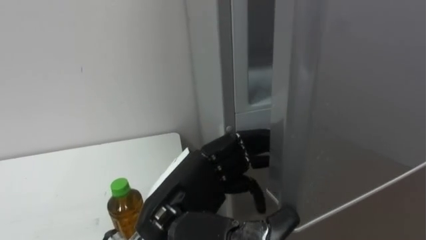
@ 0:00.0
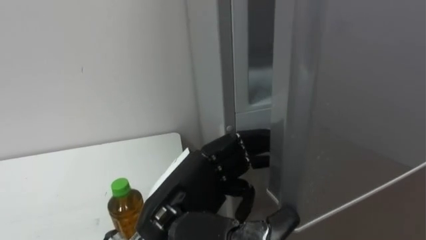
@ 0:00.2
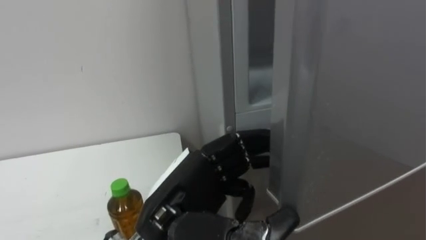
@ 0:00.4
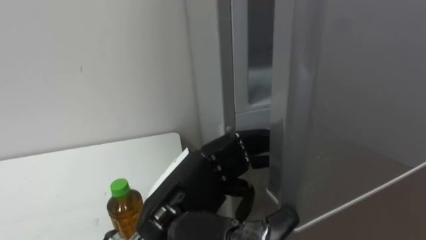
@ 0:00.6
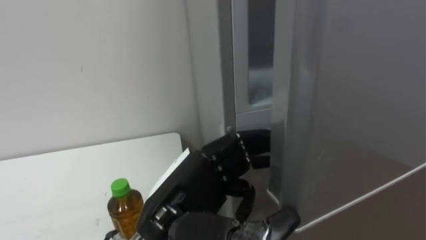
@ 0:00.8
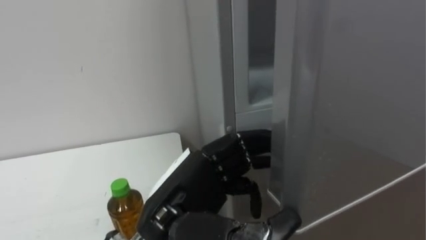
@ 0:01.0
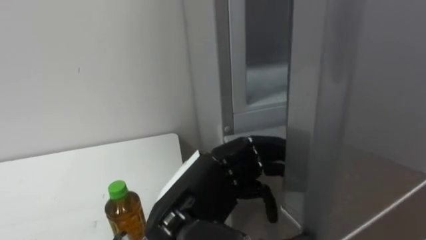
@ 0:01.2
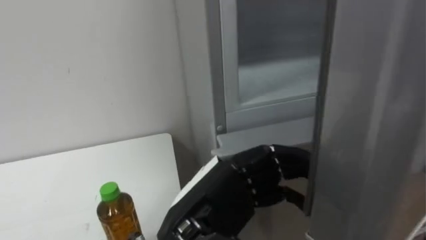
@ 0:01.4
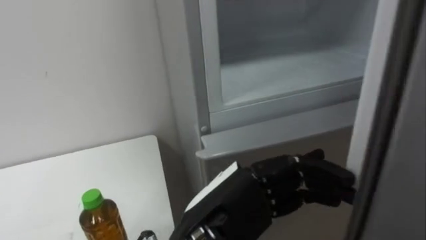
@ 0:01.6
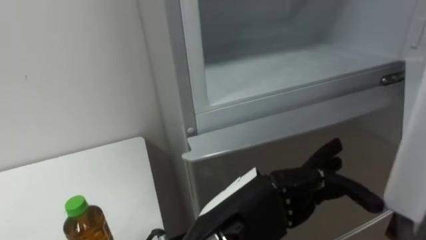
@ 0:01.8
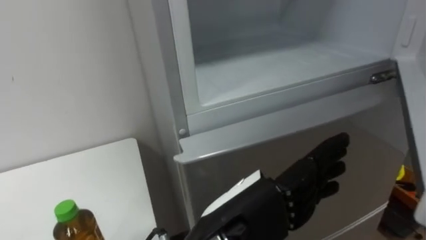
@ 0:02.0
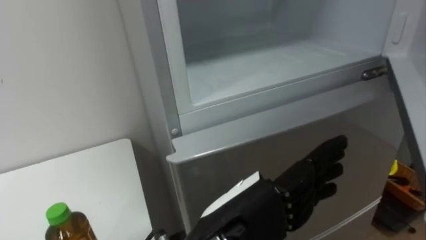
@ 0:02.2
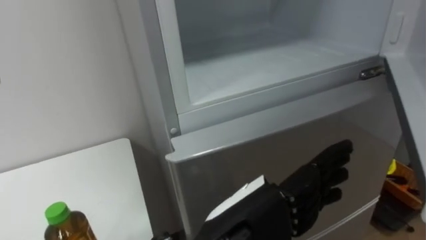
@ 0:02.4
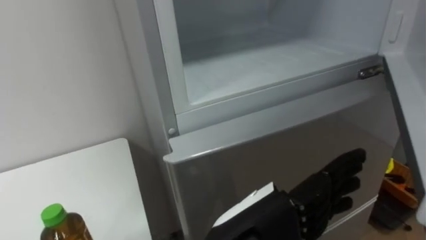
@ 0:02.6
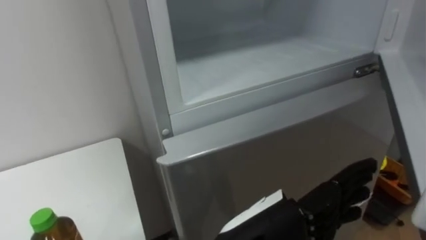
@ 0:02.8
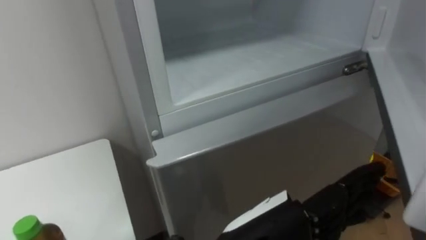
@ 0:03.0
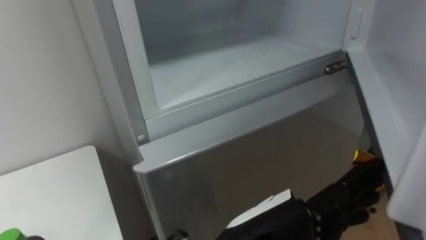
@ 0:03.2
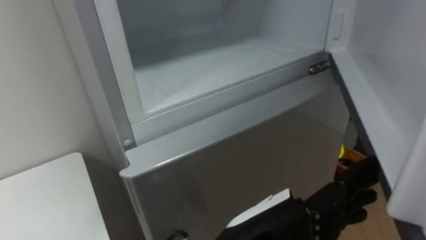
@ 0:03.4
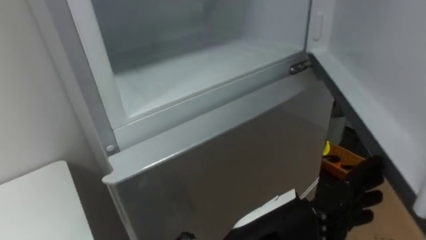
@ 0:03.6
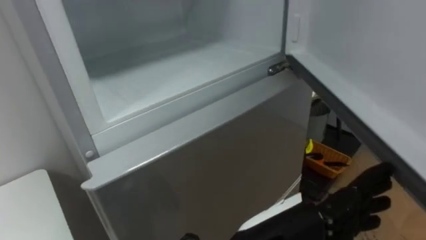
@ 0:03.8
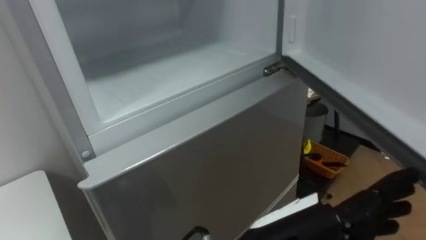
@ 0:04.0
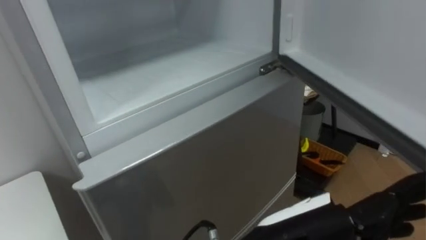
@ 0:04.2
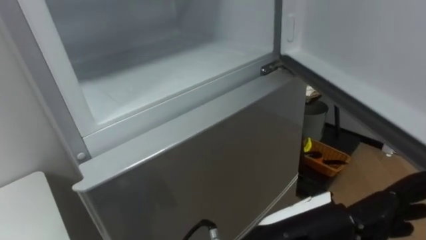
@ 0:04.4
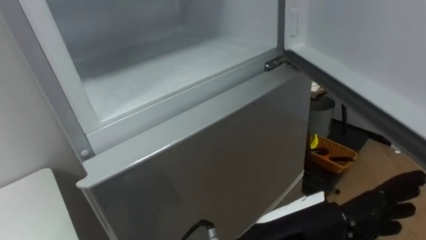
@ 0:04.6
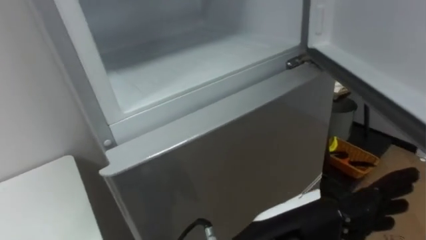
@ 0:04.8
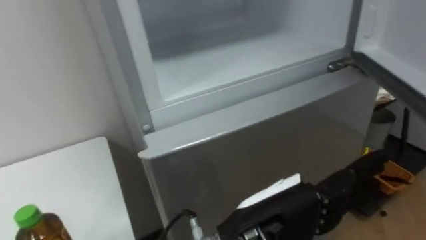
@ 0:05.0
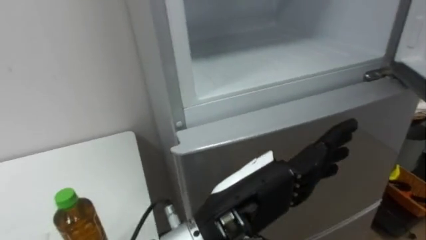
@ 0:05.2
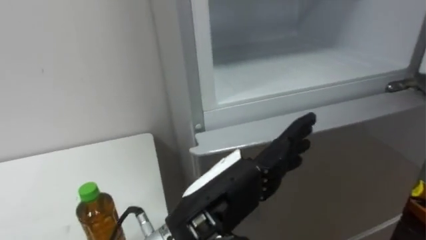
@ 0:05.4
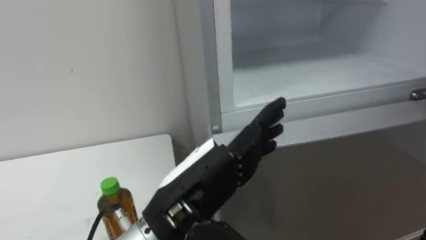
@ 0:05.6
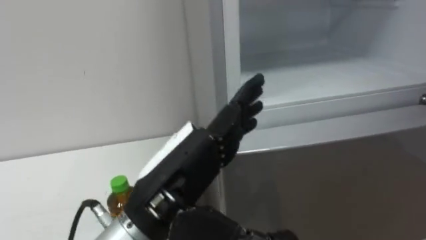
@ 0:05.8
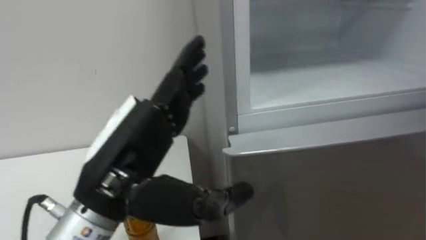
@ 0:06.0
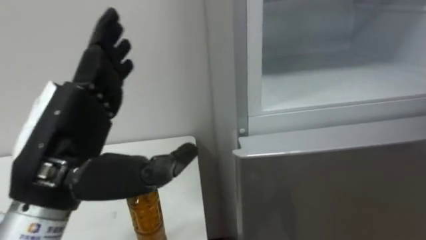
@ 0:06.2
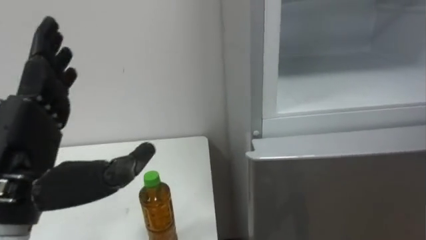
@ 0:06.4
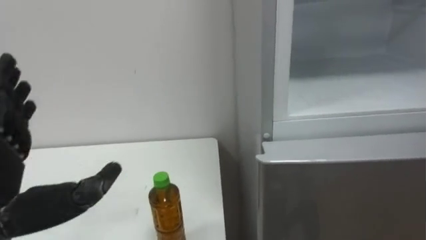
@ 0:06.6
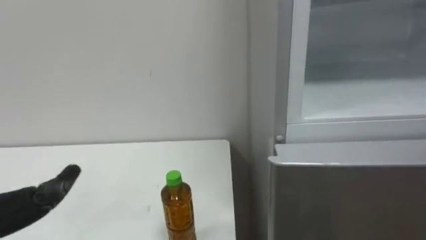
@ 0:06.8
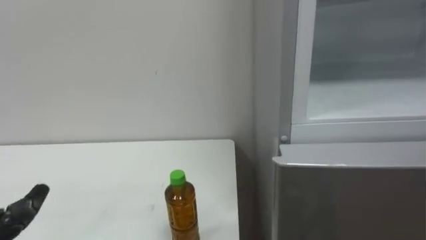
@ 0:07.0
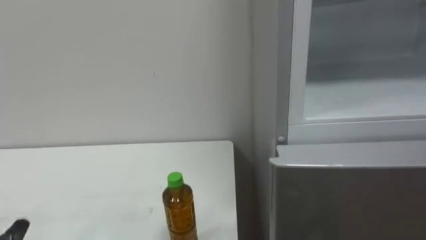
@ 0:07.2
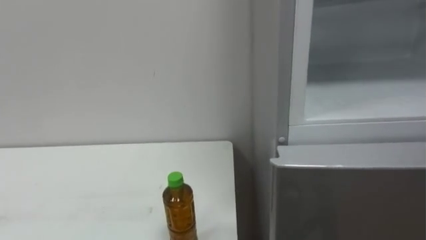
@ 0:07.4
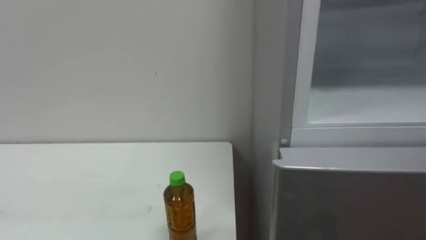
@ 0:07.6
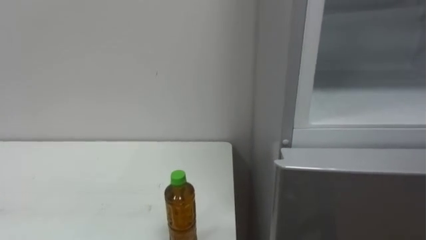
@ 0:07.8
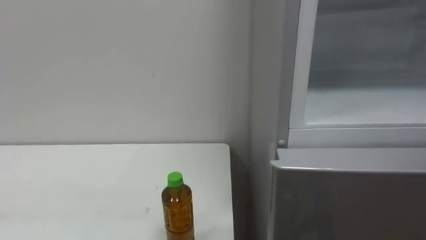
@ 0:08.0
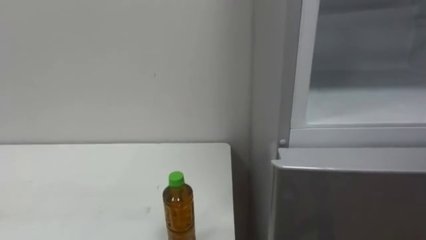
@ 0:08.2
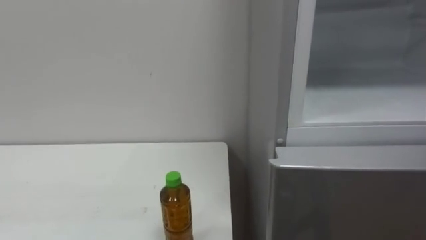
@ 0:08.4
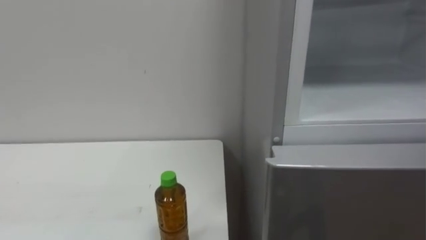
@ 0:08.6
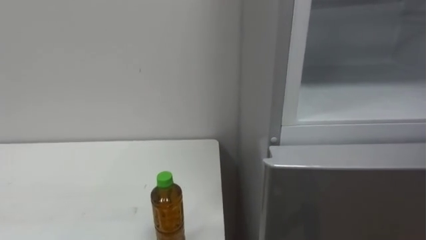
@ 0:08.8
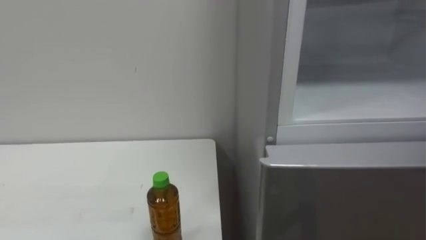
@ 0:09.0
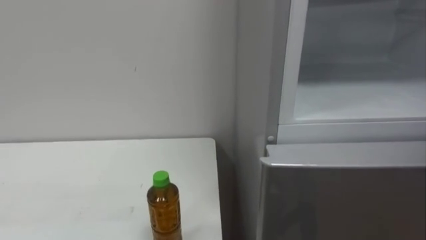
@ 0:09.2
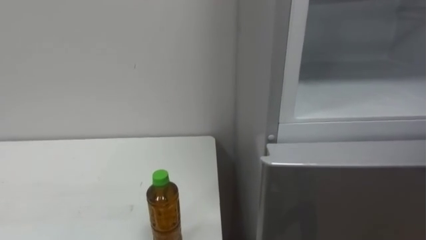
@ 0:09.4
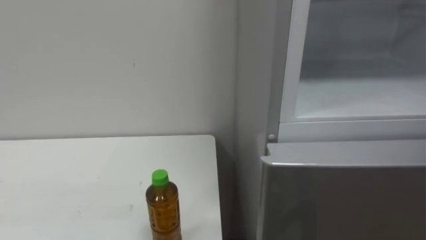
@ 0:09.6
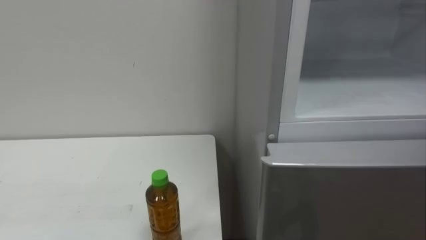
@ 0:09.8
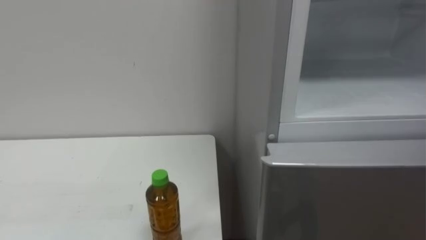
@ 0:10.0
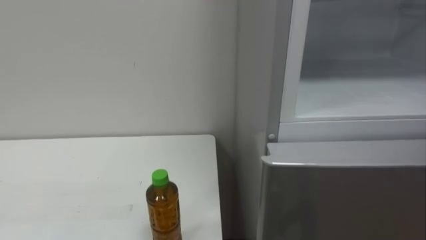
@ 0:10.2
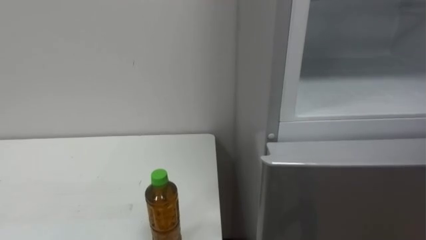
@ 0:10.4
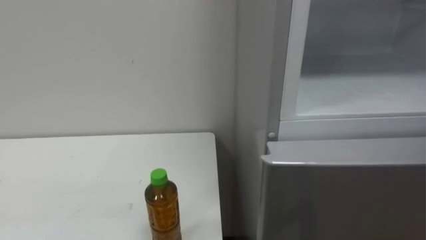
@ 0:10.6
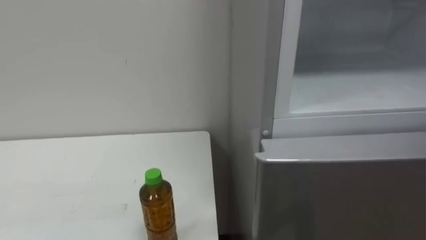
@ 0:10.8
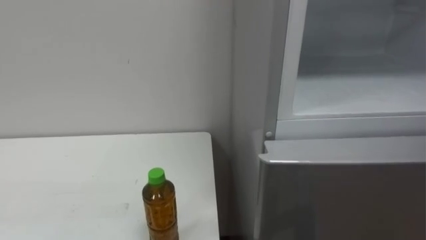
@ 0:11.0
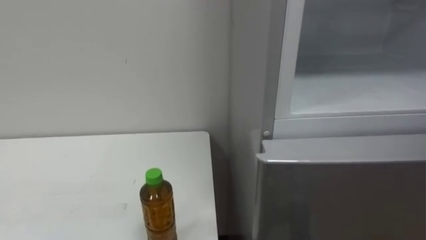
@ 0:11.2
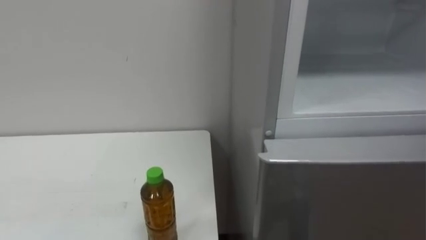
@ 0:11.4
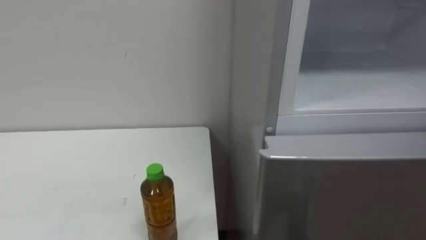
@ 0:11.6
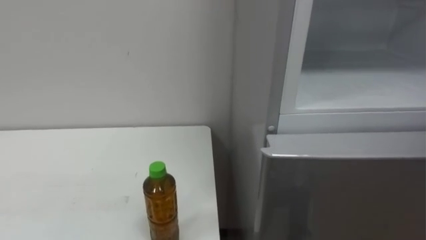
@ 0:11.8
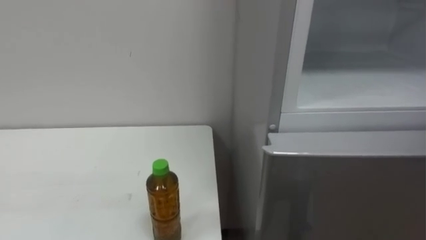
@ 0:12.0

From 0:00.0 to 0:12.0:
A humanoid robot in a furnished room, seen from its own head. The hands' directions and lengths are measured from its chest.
Task of the whole recording: Open the upper refrigerator door, put the drink from the table into the refrigerator, and then close the refrigerator door.
From 0:00.0 to 0:01.6: The left hand changes place by roughly 5 cm, and opens.
From 0:04.4 to 0:06.0: The left hand is displaced to the left by approximately 15 cm.

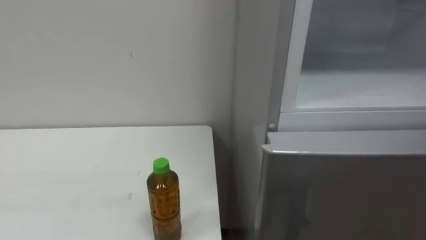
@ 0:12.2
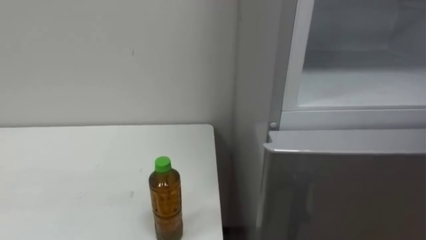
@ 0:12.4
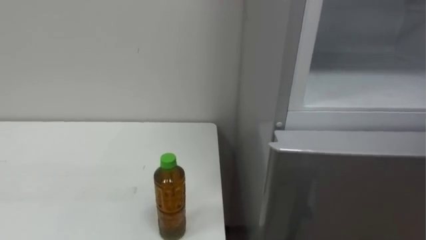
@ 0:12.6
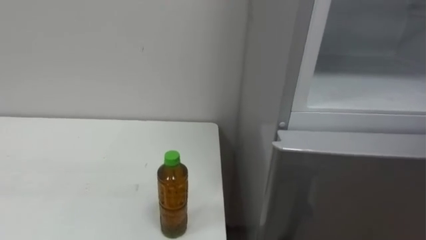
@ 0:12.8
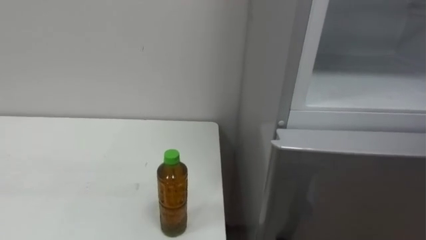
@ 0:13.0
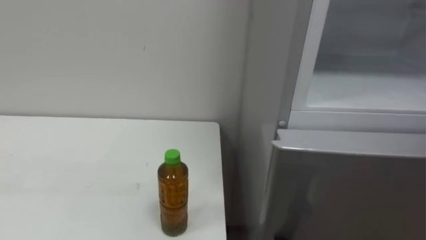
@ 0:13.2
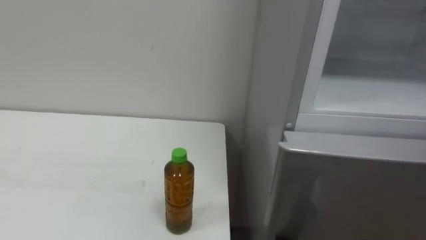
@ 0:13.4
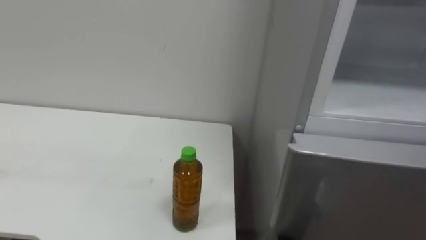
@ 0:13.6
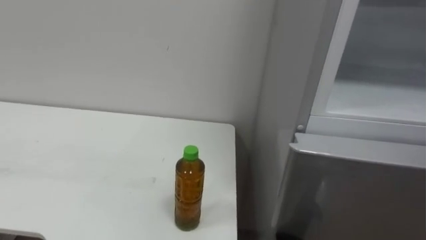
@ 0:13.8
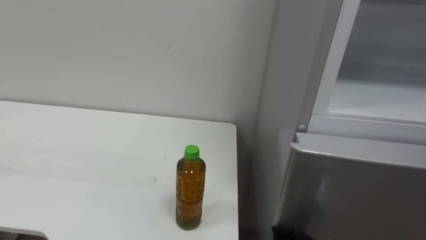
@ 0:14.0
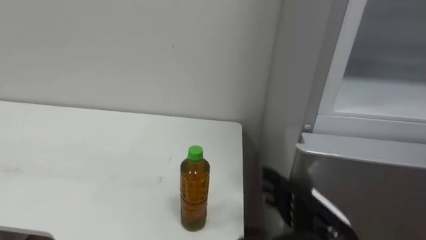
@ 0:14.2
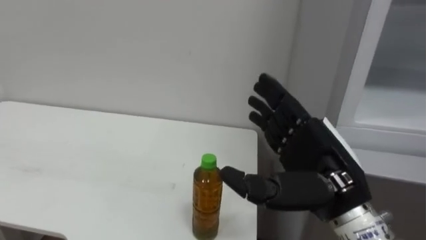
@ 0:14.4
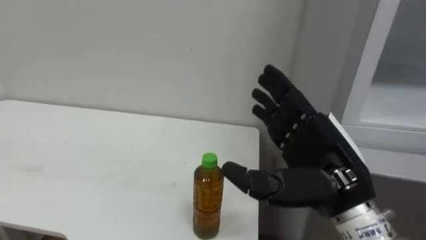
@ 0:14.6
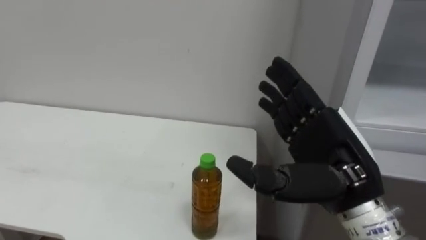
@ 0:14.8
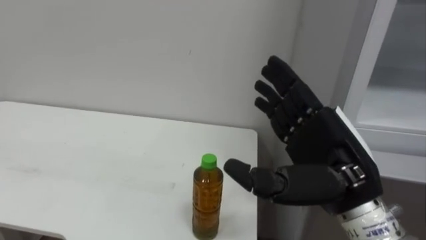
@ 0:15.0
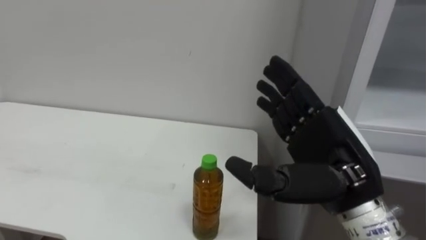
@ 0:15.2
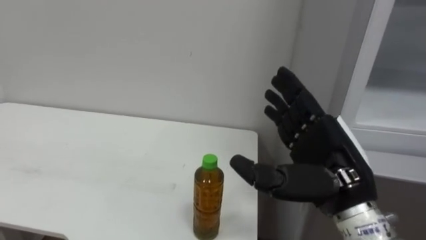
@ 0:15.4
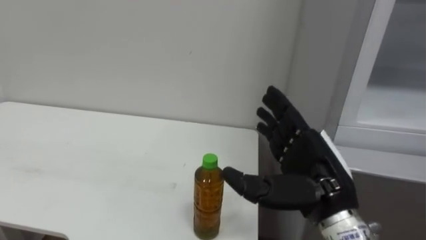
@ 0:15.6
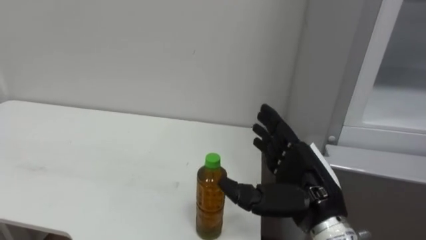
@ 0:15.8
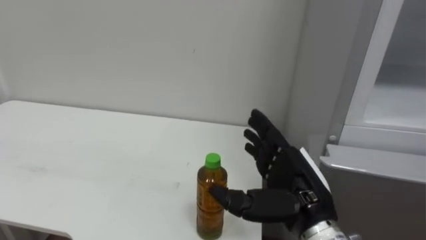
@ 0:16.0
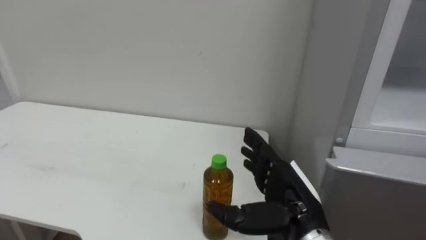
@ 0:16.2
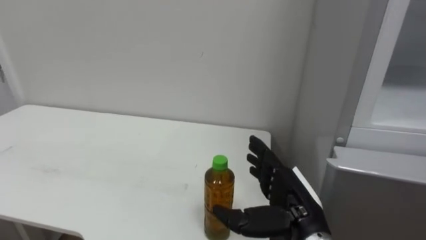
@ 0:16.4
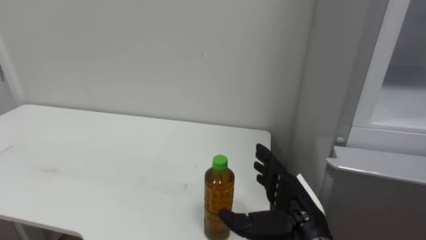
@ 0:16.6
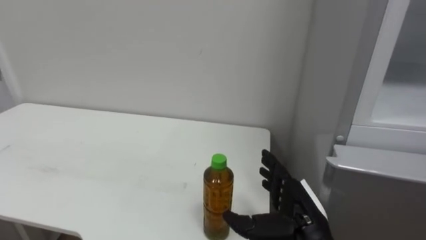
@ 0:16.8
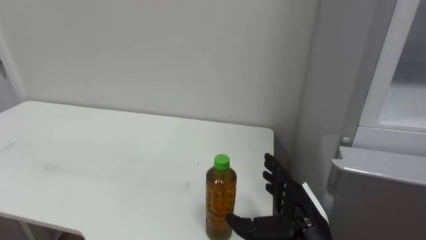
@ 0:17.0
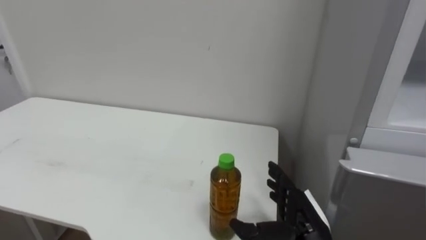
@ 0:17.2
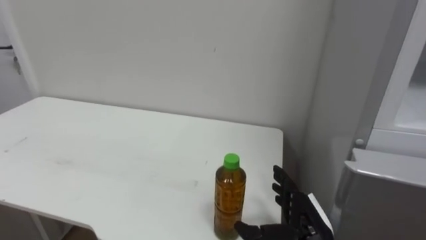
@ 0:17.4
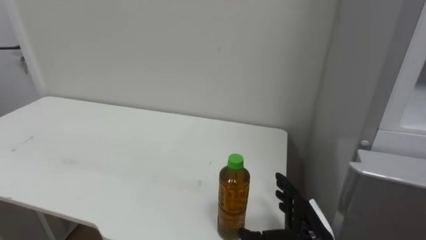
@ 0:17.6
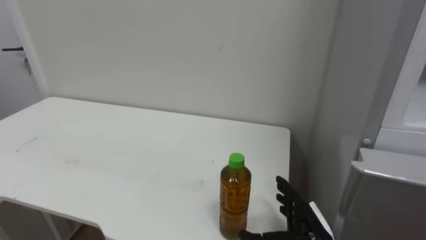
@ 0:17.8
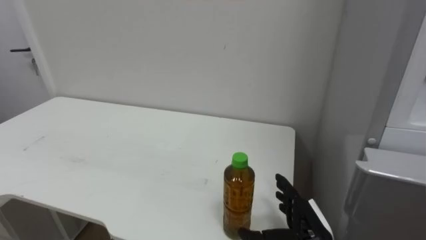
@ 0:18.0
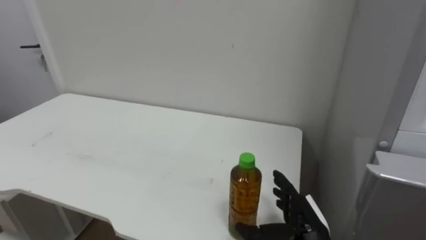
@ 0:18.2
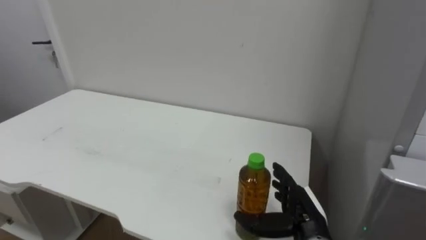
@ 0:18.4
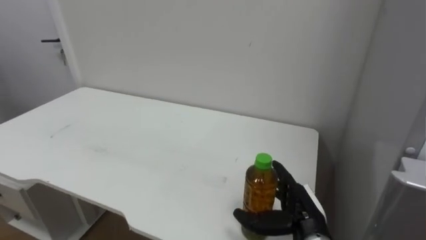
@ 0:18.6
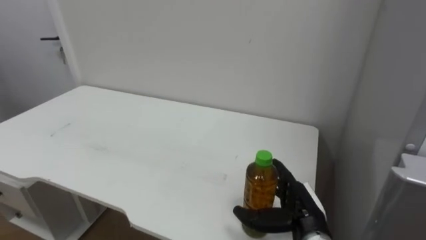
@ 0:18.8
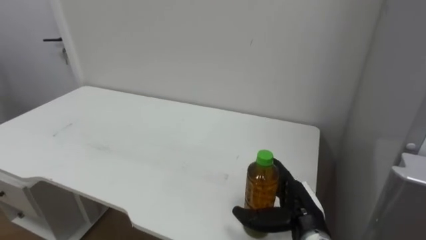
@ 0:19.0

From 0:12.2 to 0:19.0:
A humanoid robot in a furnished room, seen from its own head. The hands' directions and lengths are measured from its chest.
Task of the whole recording: Open the upper refrigerator door, put the drink from the table into the refrigerator, and then close the refrigerator door.
From 0:15.0 to 0:16.2: The right hand heads downward, covering some 10 cm.
From 0:16.2 to 0:17.6: The right hand shifts approximately 10 cm downward.
